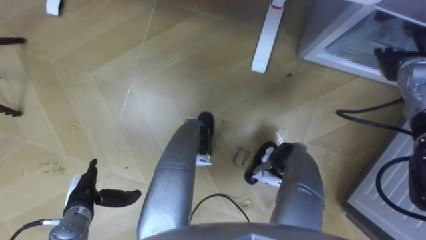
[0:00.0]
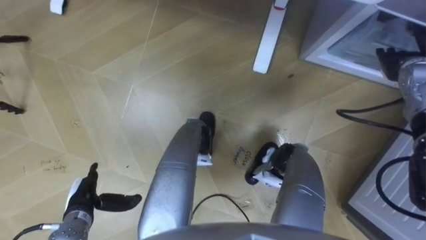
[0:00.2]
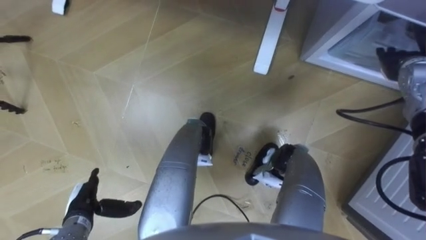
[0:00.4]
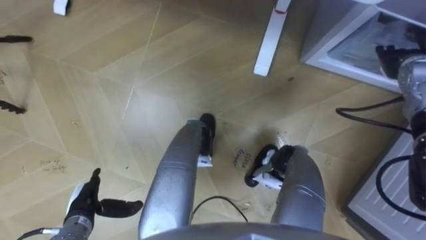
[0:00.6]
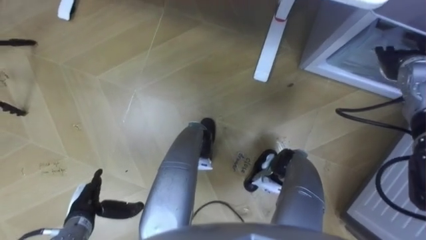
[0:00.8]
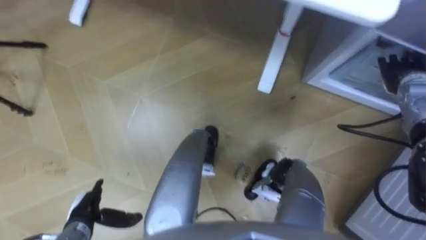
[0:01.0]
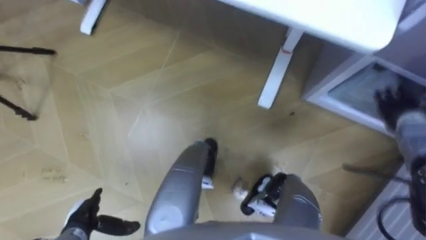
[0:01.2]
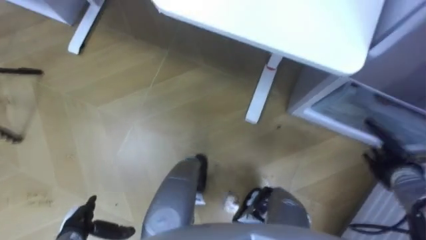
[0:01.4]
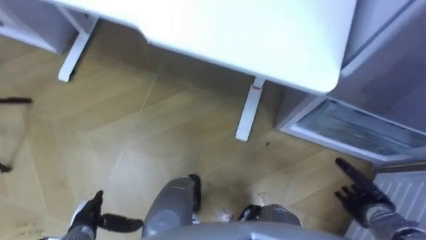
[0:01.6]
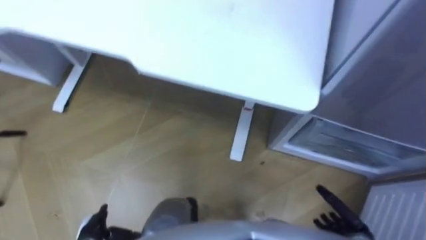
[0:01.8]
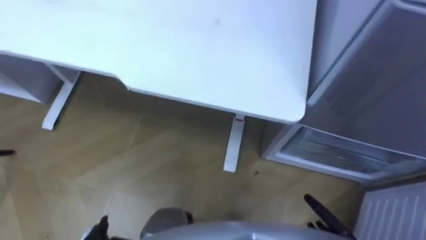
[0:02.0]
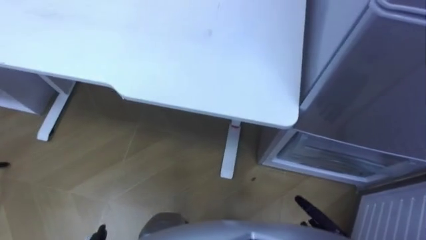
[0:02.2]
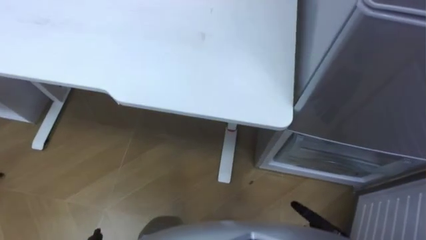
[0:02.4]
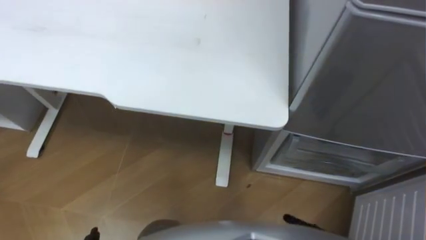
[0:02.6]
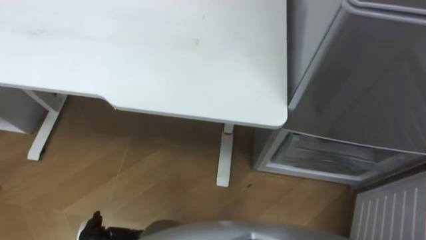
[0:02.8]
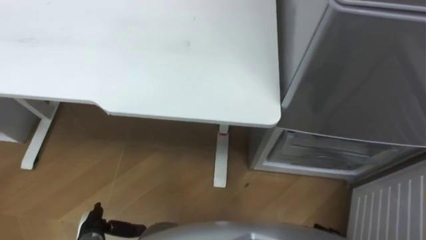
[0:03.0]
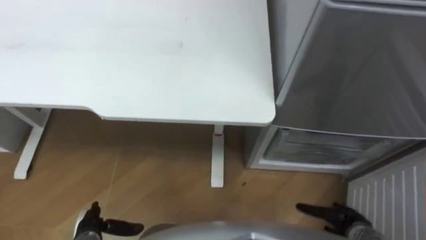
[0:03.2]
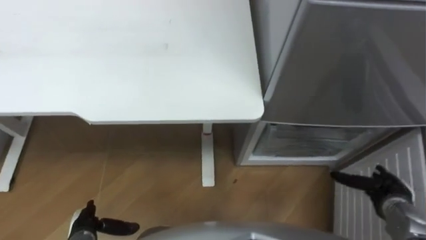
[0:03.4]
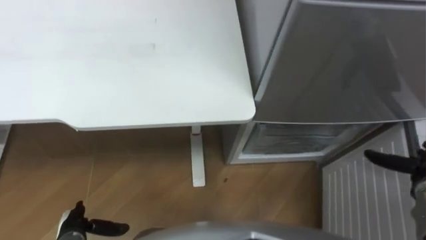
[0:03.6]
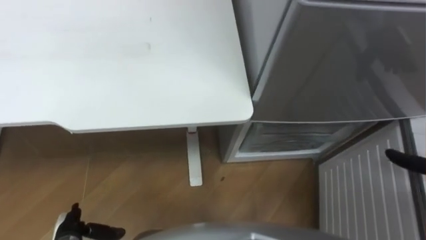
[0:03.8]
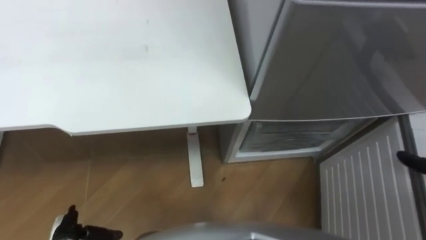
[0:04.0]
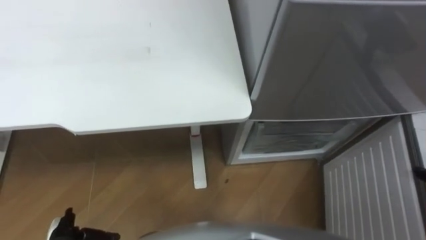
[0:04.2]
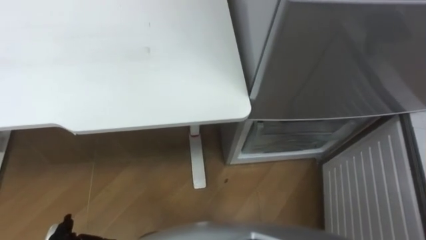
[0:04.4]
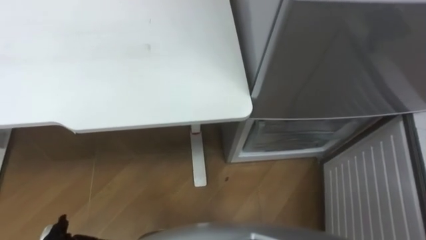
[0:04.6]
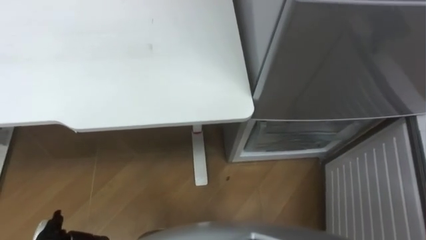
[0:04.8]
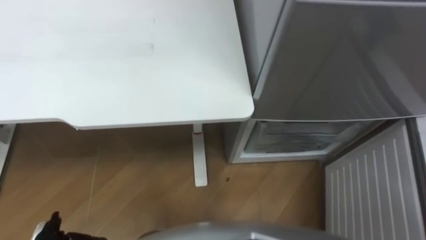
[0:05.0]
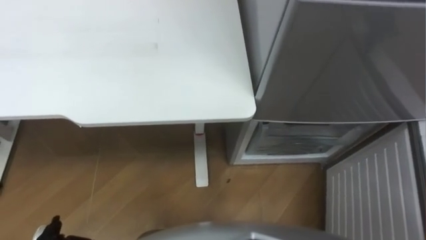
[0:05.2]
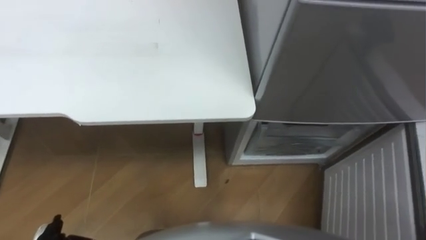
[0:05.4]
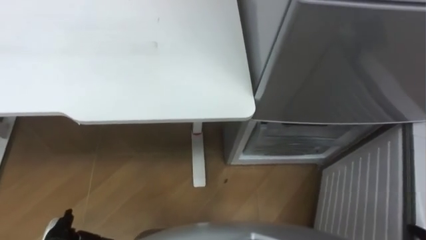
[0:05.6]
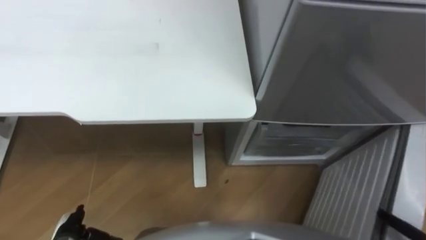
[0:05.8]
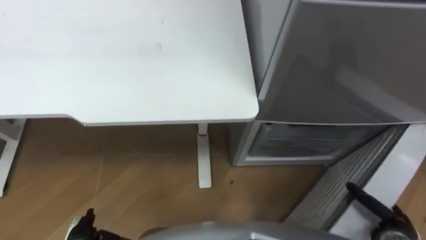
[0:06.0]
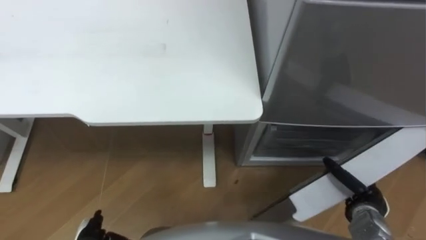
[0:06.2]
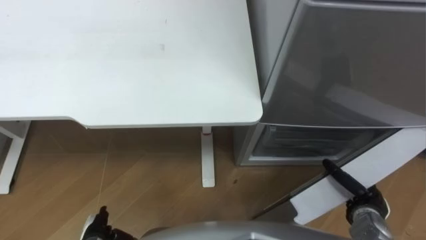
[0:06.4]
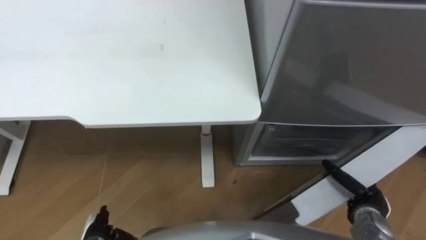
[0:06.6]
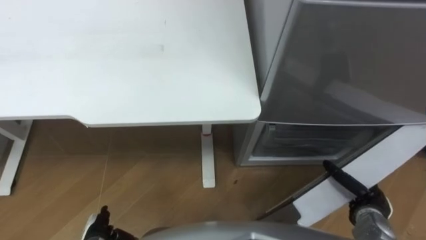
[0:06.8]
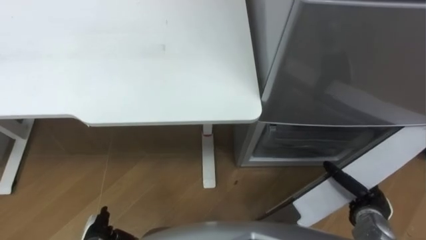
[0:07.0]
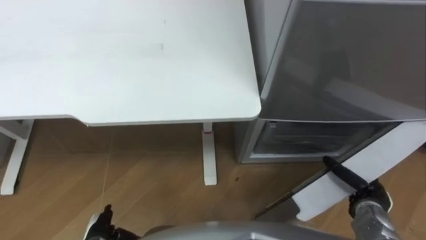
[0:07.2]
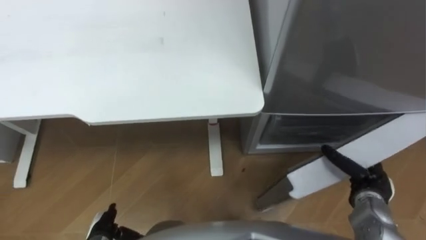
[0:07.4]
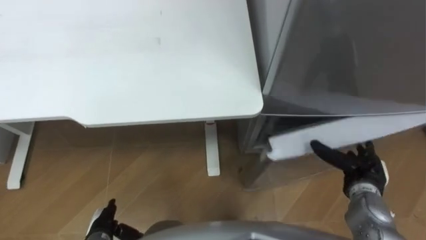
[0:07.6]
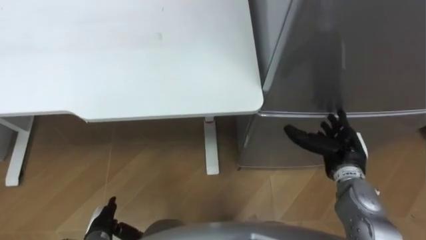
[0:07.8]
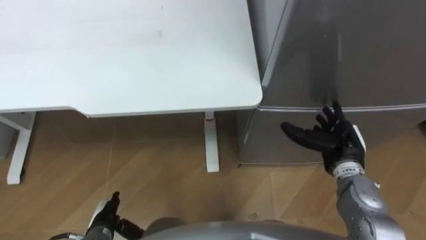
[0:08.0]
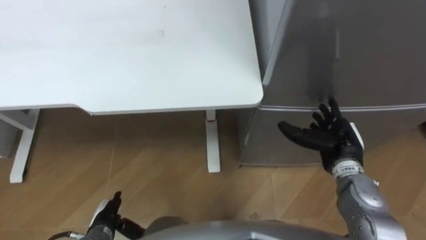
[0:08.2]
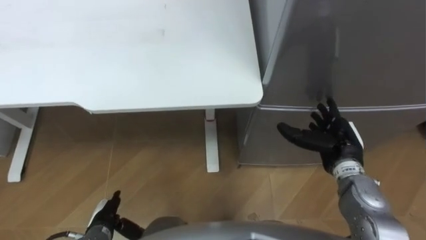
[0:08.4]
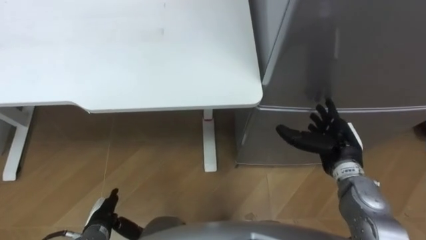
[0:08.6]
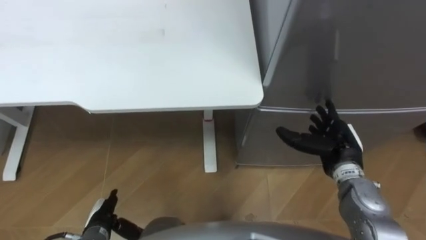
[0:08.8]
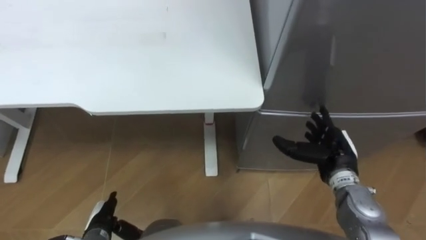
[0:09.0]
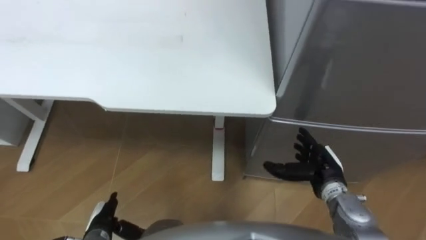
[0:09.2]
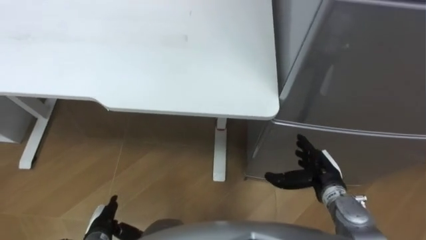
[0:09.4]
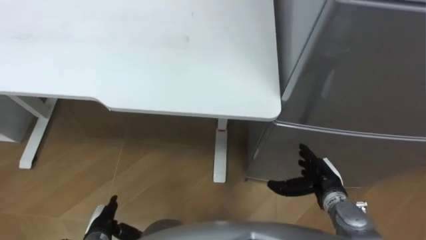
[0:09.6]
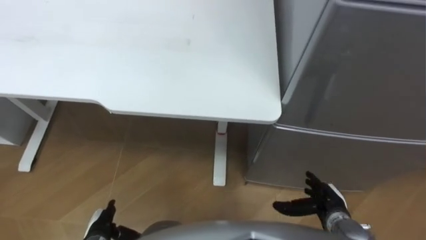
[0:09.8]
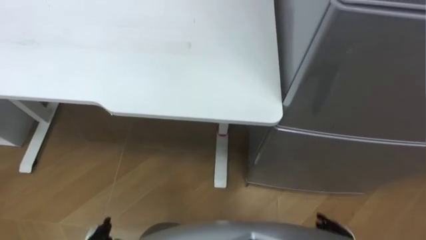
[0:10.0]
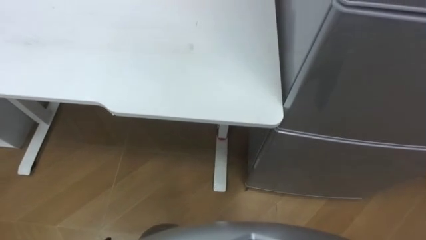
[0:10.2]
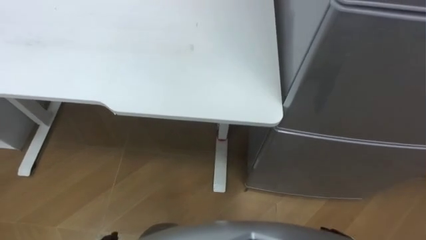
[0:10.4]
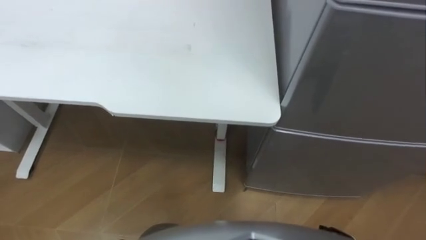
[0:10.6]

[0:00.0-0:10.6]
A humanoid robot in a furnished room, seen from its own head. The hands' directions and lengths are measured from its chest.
Task of the whole recording: Place the drink on the table on the bottom shelf of the refrigerator, then close the drawer and the refrigerator door.
0:00.0 to 0:01.6: The left hand shifts by approximately 5 cm, while the right hand moves backward and downward, roughly 30 cm.
0:06.0 to 0:07.6: The left hand changes place by roughly 5 cm.
0:07.6 to 0:09.0: The right hand goes roughly 5 cm to the left.

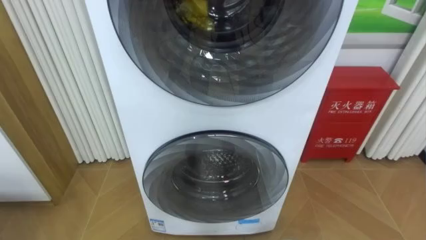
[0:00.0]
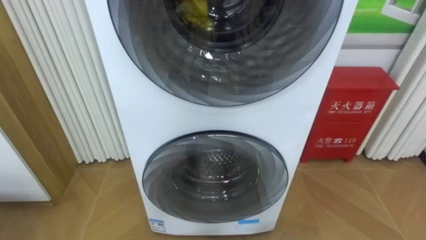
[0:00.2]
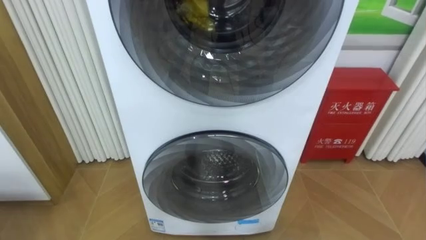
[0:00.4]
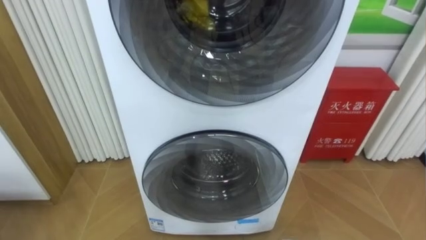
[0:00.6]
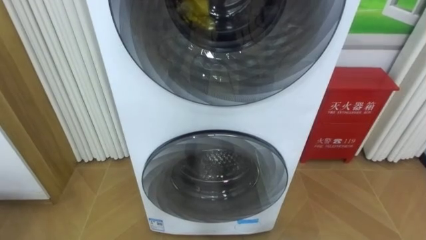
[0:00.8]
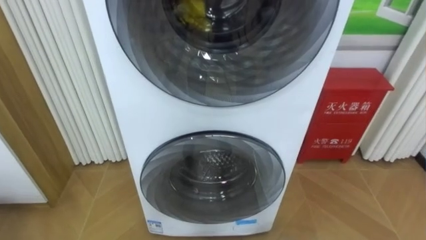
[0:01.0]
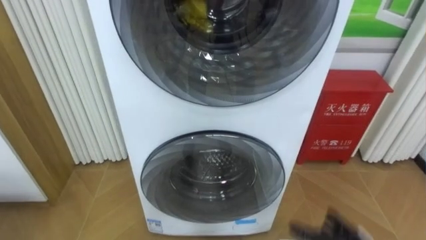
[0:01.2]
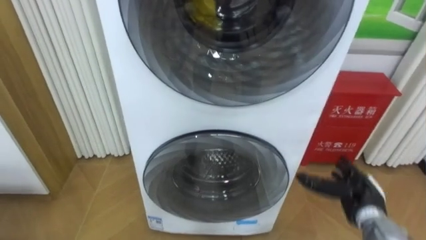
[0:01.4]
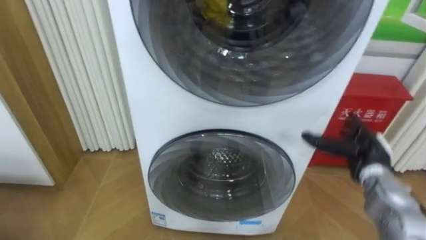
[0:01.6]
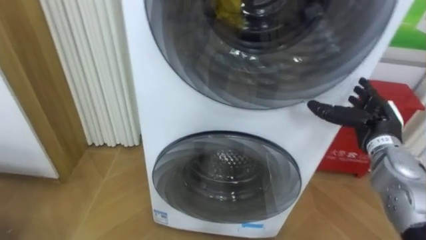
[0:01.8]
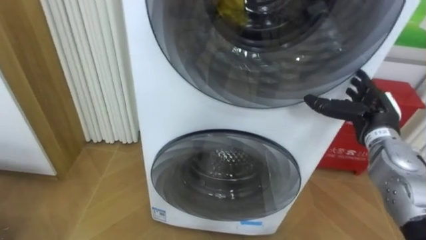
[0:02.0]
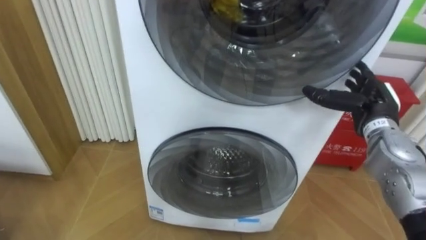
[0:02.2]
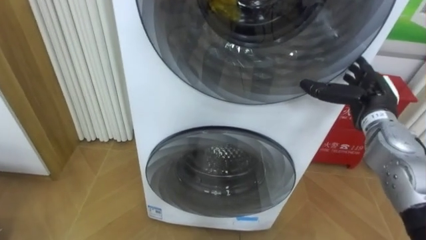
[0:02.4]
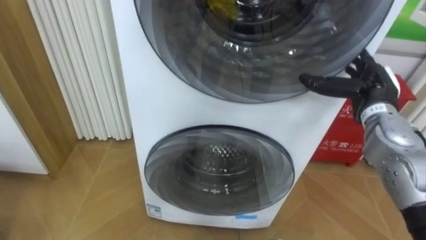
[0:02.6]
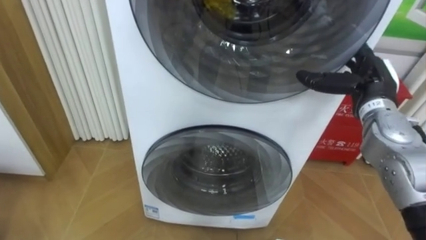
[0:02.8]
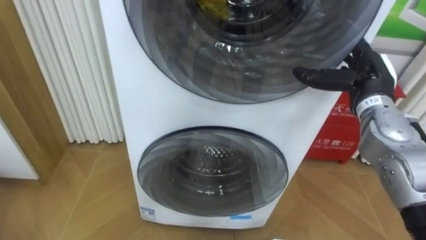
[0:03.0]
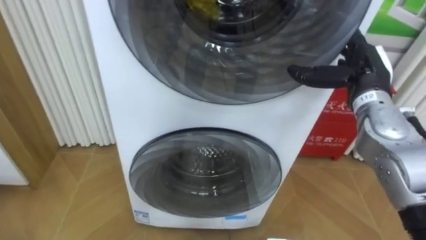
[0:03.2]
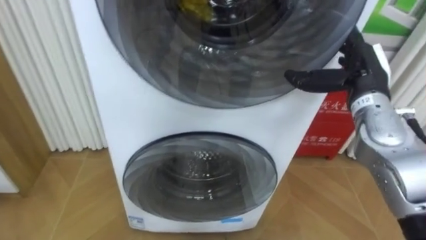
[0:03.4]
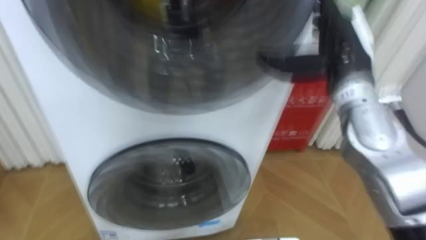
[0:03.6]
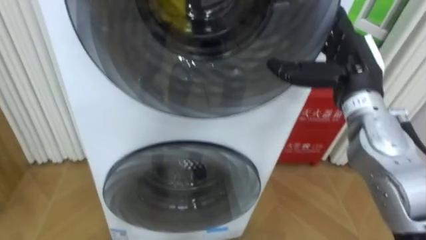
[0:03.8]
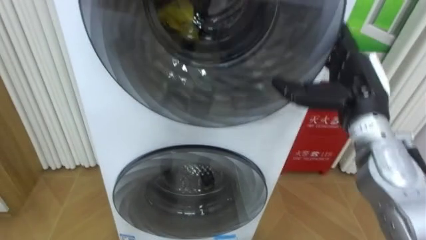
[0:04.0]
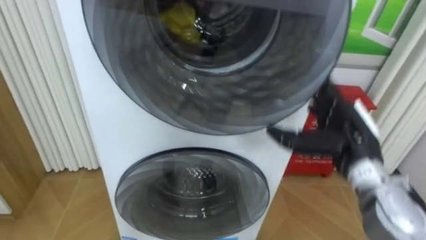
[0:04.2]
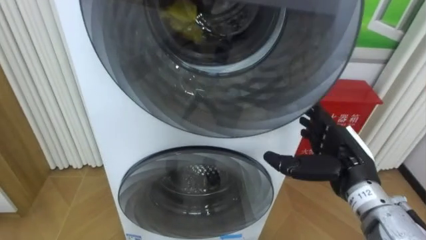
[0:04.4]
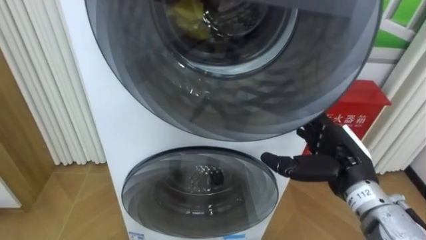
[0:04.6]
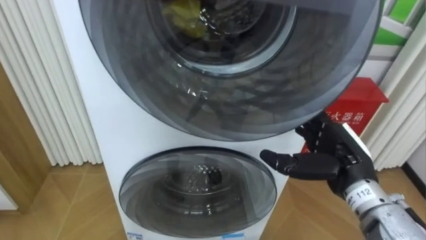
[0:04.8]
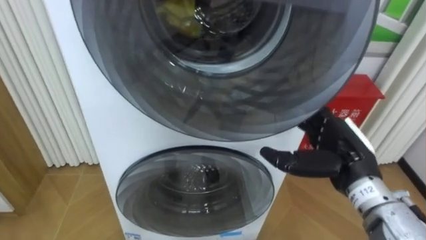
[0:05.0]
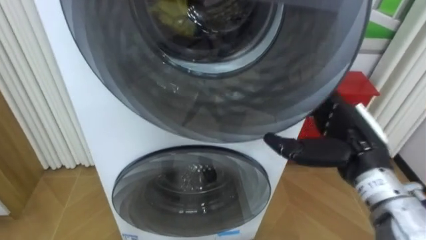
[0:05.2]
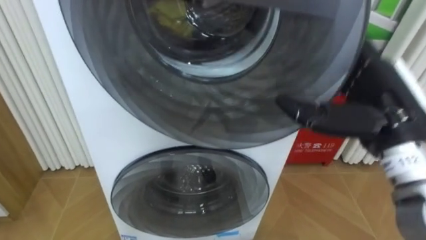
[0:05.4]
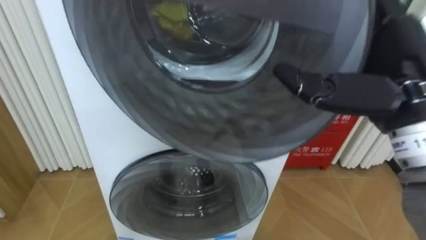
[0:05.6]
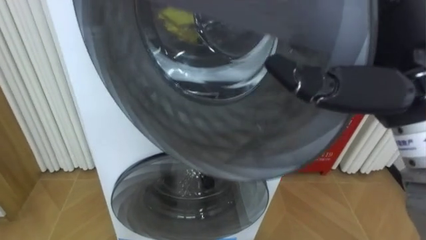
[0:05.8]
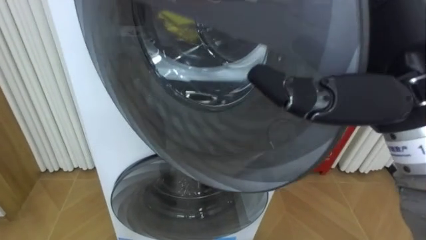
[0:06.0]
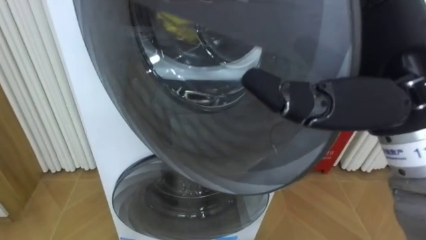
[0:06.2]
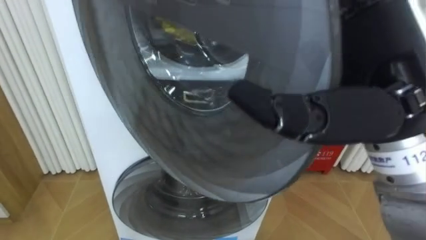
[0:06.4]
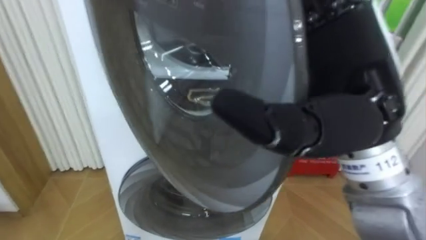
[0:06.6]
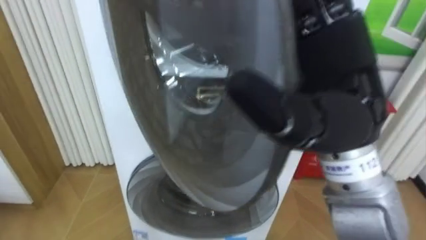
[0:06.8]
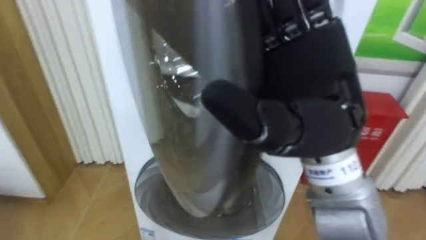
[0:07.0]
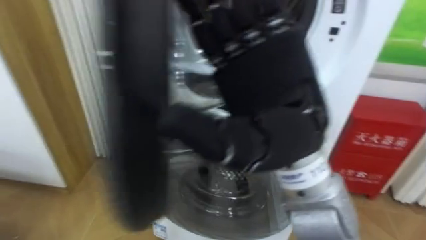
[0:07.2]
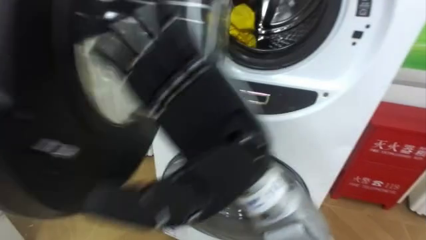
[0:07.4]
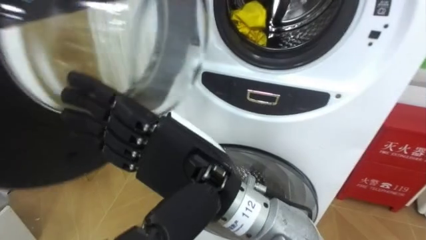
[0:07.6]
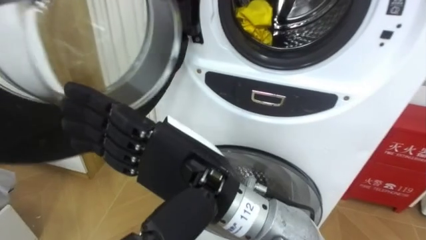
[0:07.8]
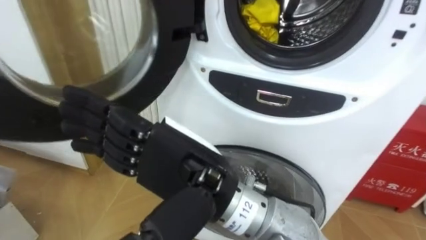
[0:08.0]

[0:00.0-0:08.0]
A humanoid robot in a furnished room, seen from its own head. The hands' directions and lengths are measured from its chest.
Task of the whole recording: Open the washing machine door, take out the yellow clothes, place them in the box on the right, and close the washing machine door.
0:01.6 to 0:03.2: The right hand moves upward, about 15 cm.
0:03.2 to 0:04.8: The right hand heads backward and downward, covering some 15 cm.
0:04.8 to 0:06.4: The right hand moves upward, about 20 cm.
0:06.4 to 0:08.0: The right hand goes roughly 20 cm to the left and downward.
